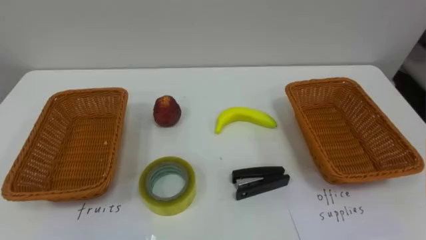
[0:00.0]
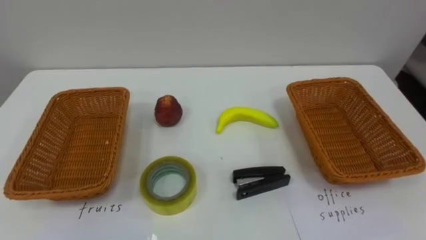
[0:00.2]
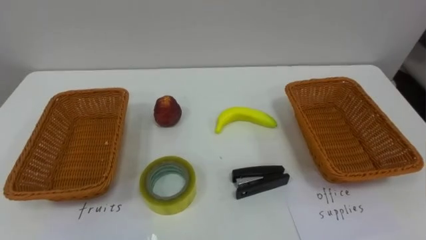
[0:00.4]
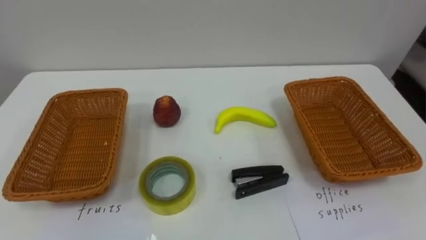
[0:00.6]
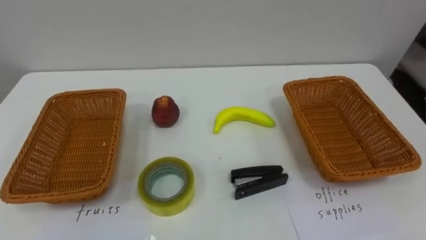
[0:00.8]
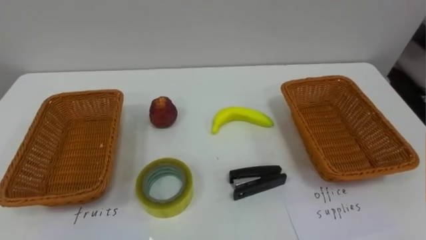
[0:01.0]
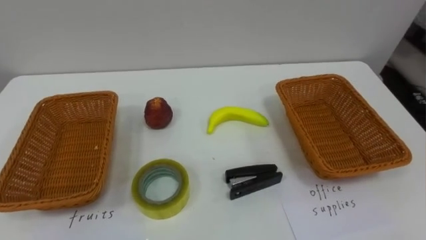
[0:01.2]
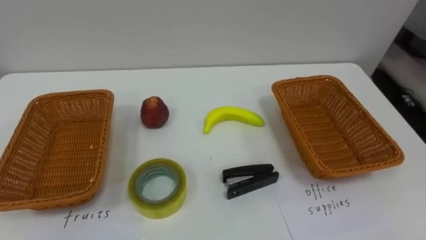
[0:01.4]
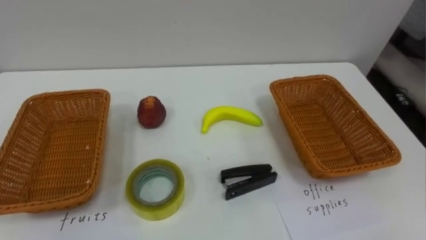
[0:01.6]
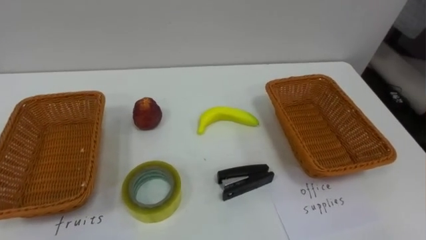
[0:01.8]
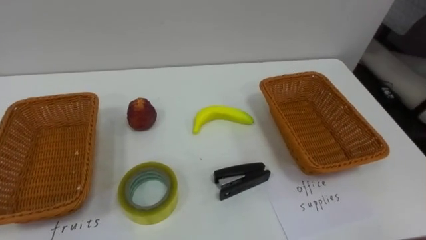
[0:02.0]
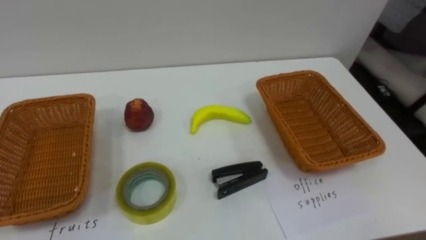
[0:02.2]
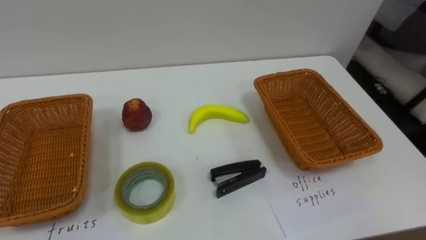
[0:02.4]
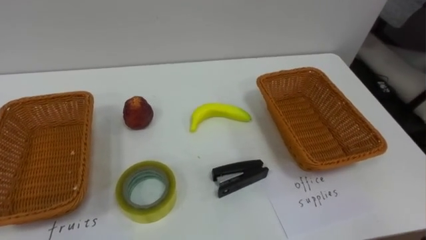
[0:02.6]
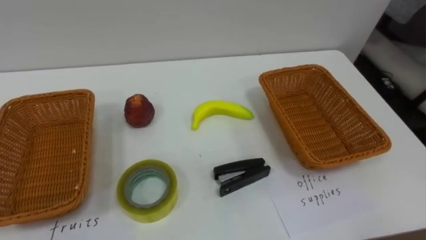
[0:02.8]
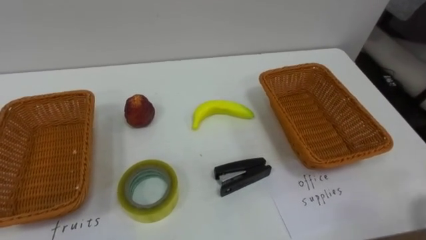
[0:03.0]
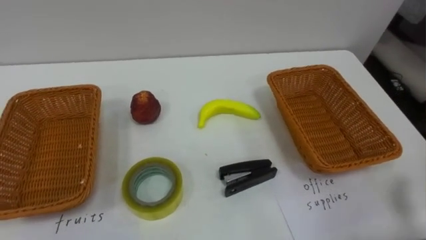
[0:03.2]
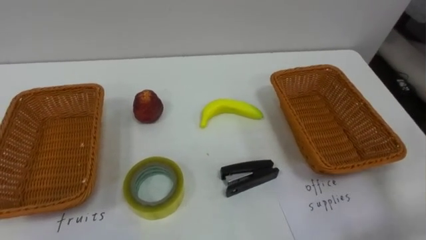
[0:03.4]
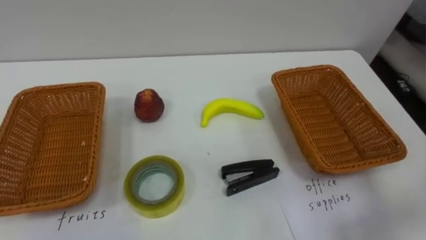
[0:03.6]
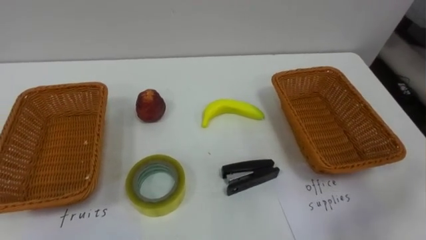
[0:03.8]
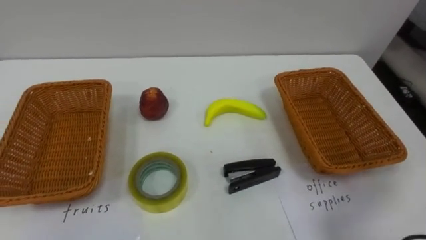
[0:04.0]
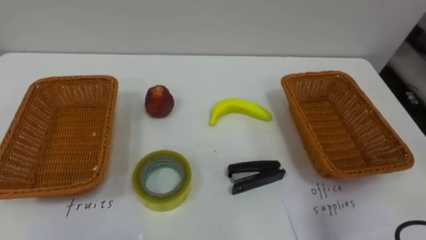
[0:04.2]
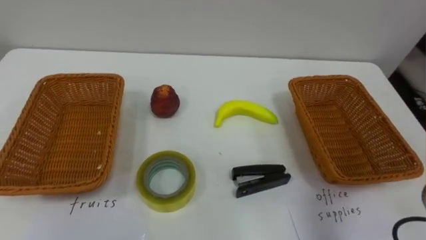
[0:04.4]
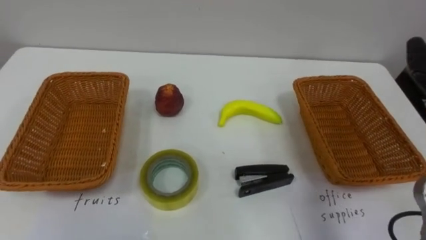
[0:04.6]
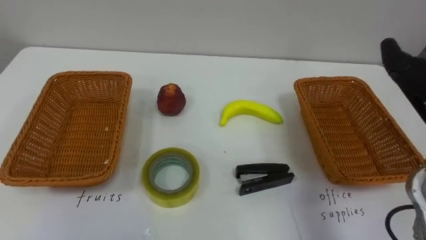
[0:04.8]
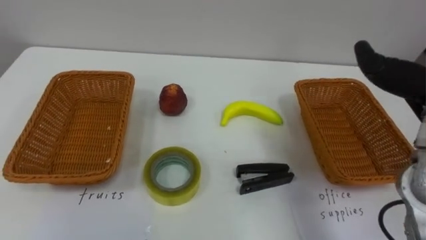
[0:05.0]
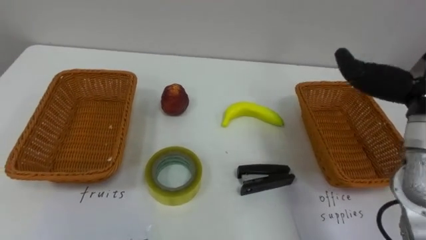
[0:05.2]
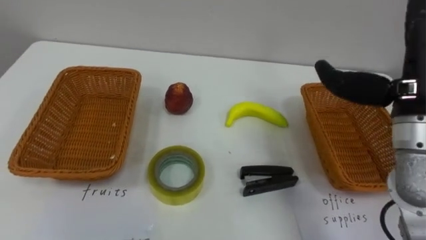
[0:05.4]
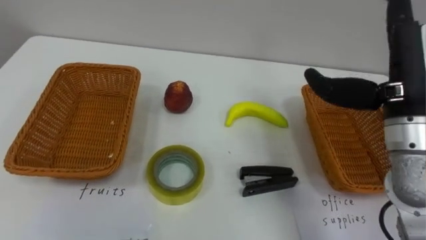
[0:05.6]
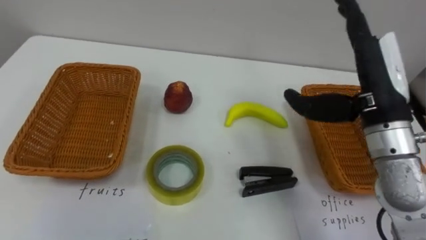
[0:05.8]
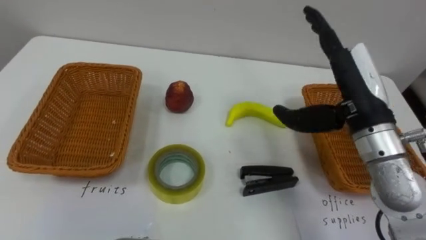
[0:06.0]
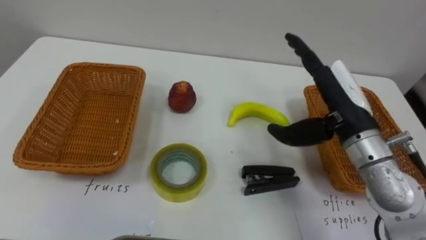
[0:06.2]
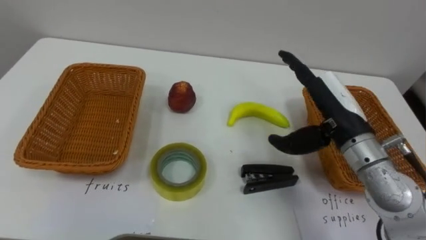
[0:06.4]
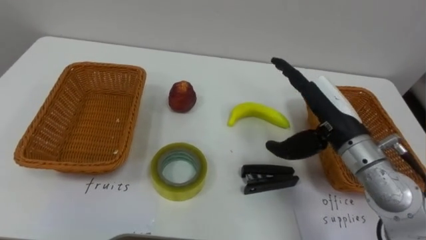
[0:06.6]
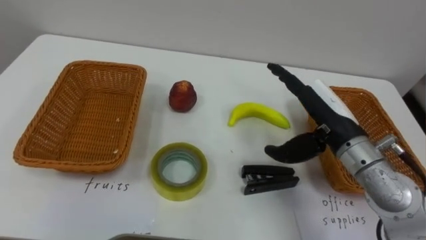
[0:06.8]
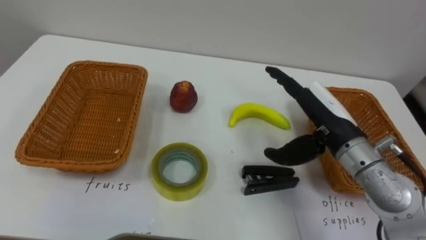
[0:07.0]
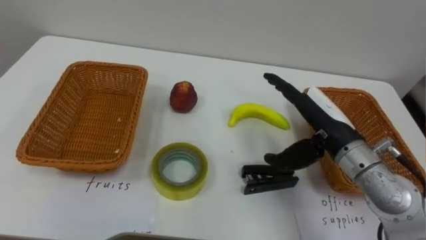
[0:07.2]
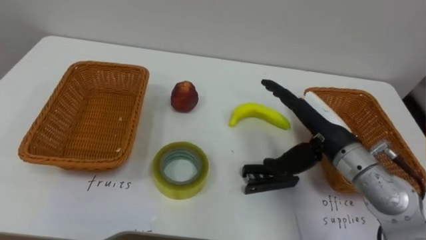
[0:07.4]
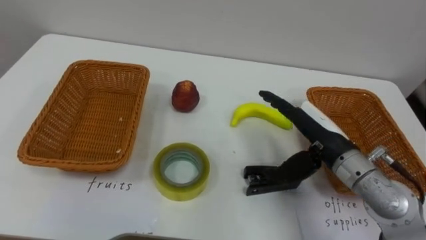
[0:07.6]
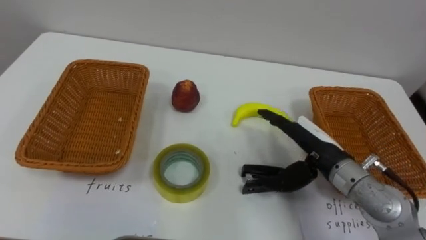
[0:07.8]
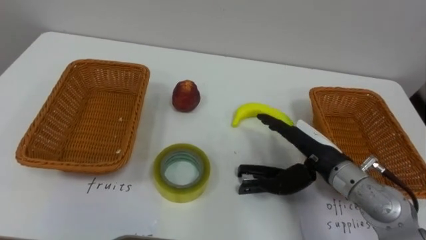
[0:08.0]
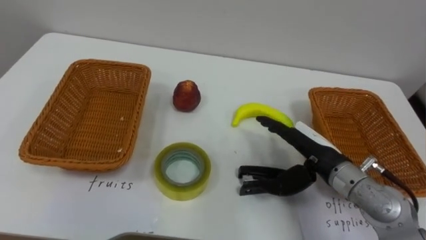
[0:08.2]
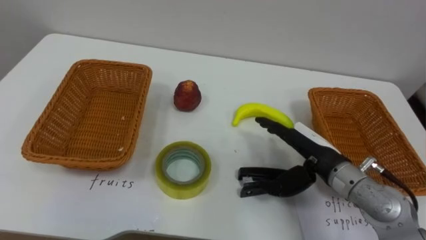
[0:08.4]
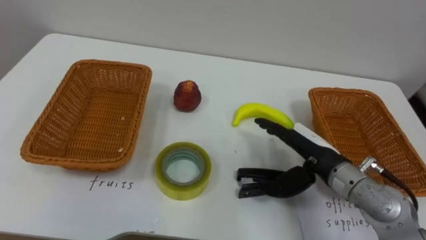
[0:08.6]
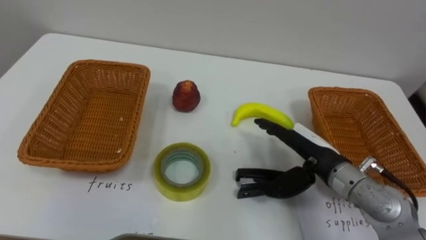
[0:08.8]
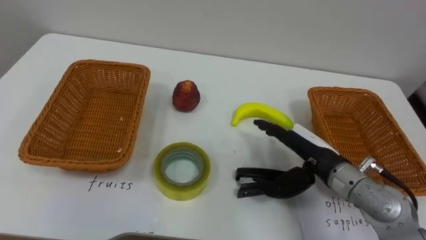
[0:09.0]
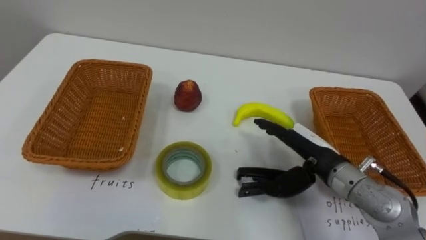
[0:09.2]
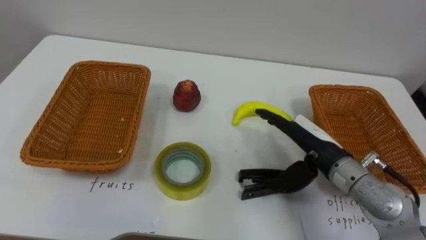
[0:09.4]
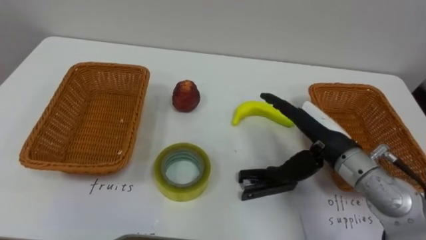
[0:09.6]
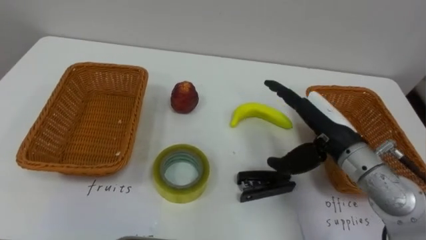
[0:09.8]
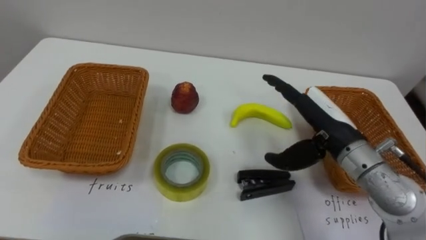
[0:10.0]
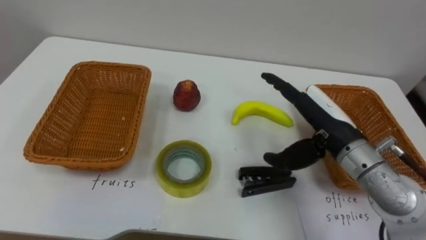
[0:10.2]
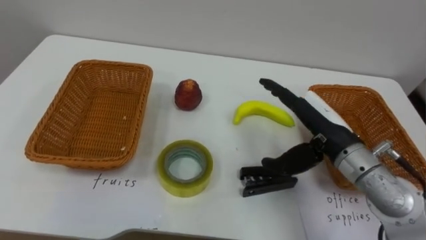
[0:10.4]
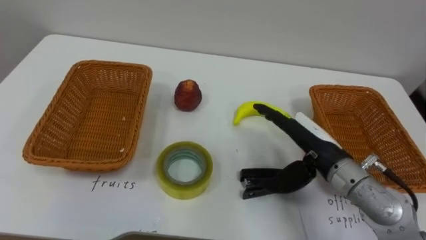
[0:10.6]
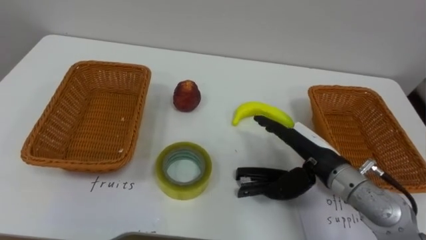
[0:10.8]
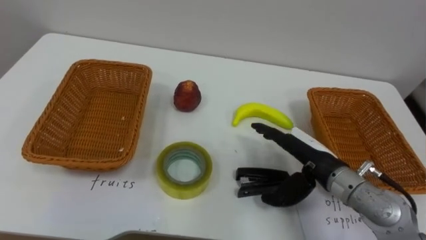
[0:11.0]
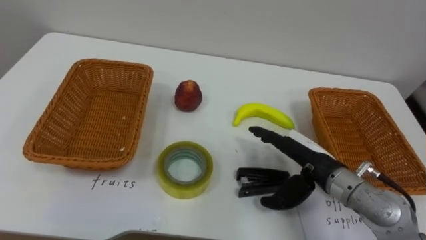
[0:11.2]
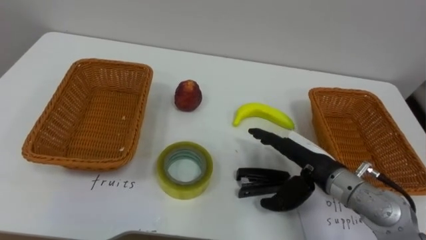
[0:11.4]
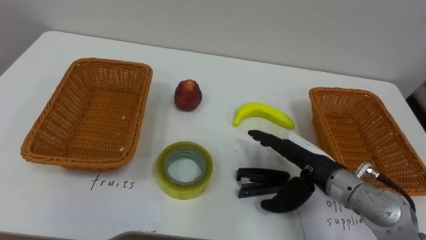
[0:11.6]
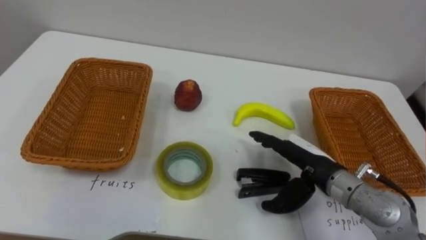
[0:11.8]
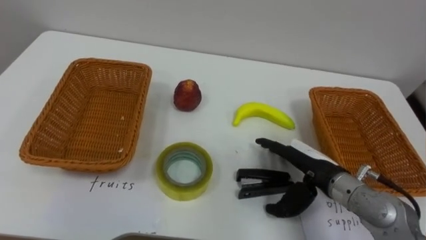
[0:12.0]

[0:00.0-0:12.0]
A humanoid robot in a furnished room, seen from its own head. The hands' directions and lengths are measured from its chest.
Task of the whole recording: Separate the items on the table and place them into the two baskets.
0:06.0 to 0:07.6: The right hand shifts about 10 cm downward.
0:09.0 to 0:10.4: The right hand heads upward, covering some 5 cm.
0:10.4 to 0:12.0: The right hand goes about 10 cm downward.

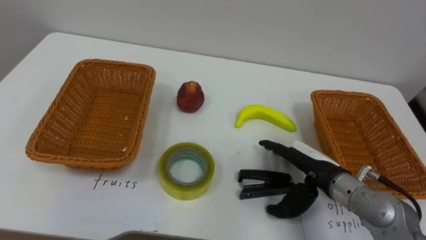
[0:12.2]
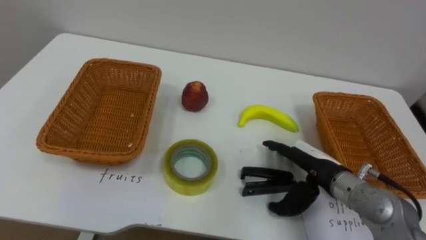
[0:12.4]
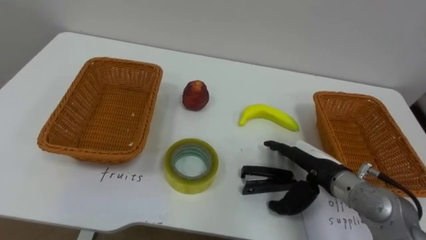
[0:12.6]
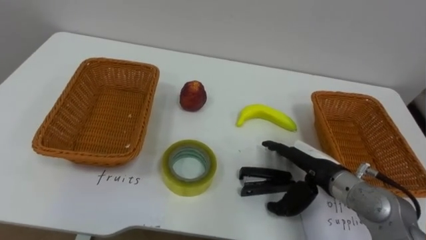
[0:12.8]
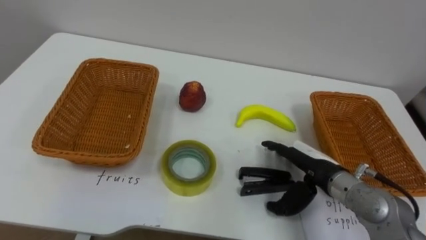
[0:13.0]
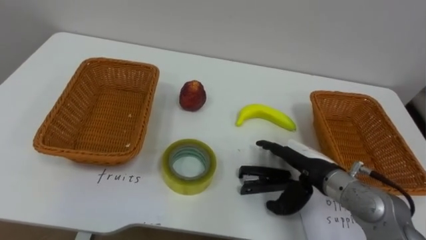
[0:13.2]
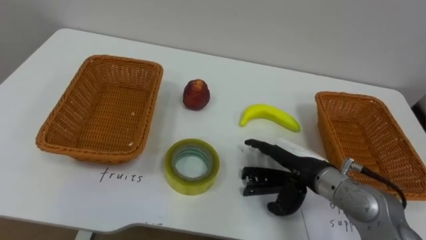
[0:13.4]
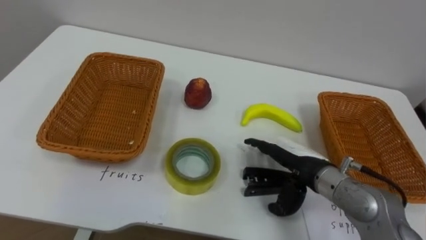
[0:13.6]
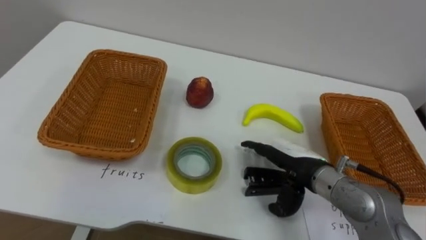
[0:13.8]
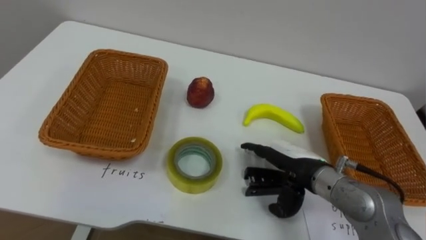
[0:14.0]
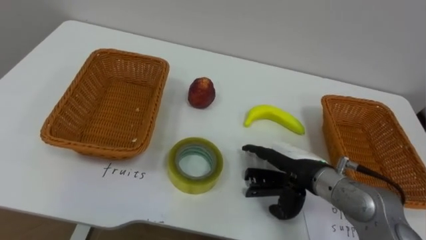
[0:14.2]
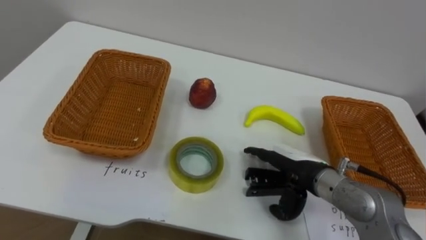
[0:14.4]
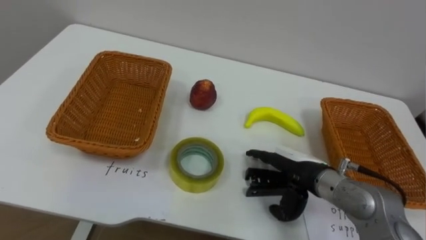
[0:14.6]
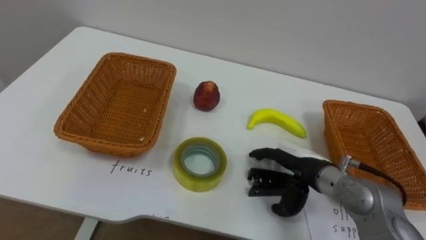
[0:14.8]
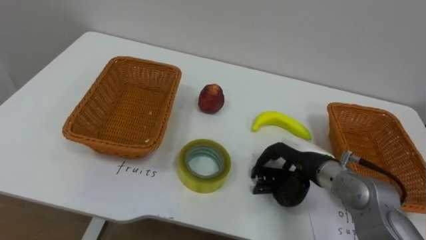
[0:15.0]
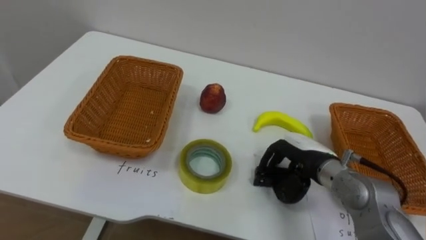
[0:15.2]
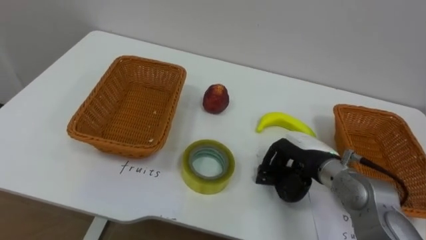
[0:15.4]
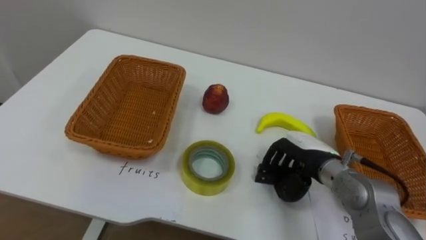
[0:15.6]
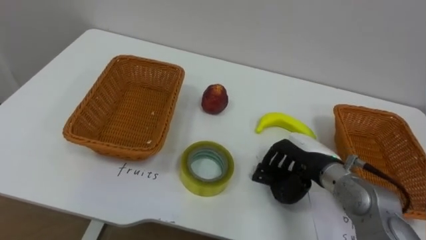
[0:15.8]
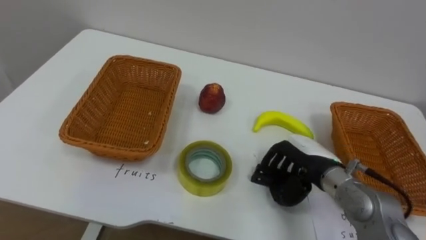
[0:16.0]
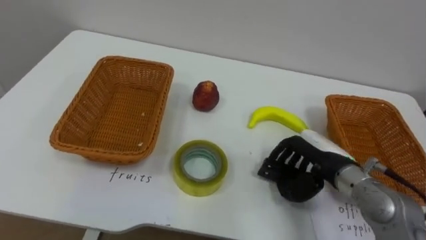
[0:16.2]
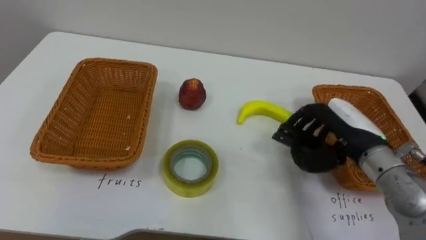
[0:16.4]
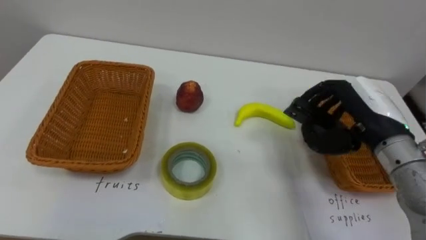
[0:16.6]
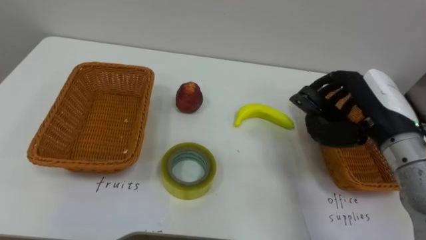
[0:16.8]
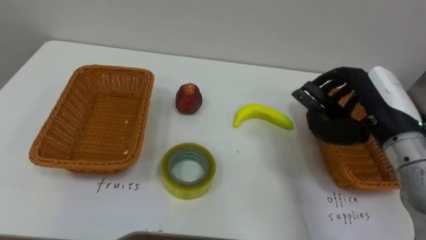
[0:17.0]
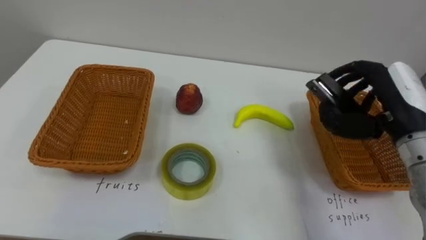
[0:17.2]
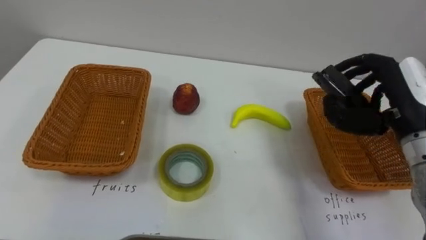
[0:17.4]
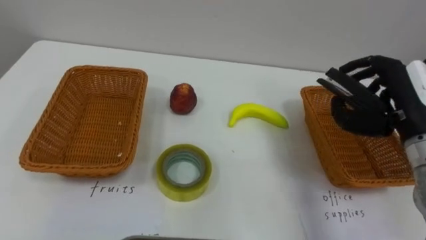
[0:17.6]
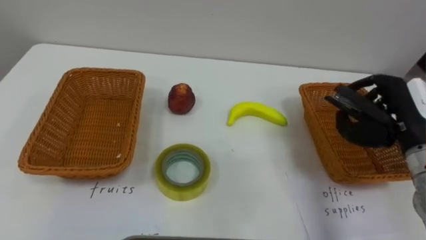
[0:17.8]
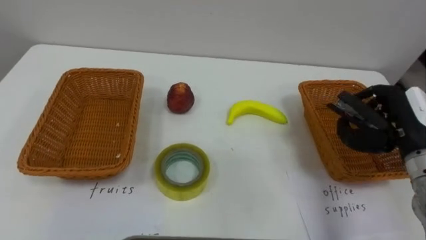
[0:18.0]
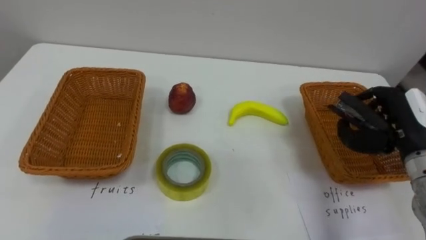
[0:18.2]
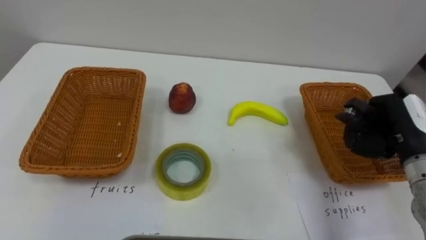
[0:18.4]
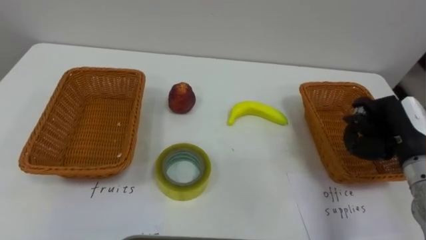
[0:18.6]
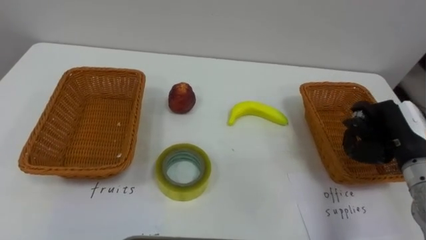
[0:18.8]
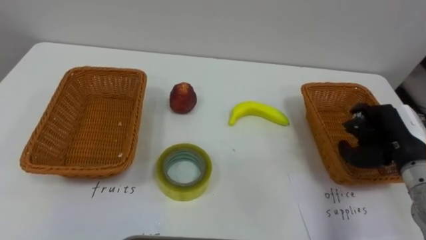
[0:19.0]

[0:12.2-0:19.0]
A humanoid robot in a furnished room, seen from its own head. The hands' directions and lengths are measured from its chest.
Task of the whole recording: Separate the items on the table and place them into the two baskets.
0:16.2 to 0:17.6: The right hand travels upward and to the right by about 15 cm.
0:17.6 to 0:19.0: The right hand travels downward by about 10 cm.
